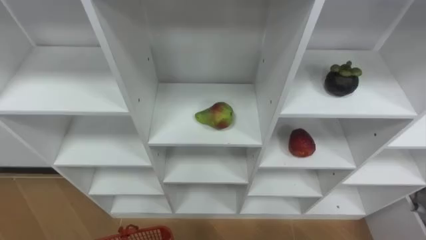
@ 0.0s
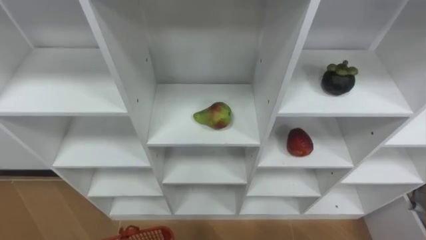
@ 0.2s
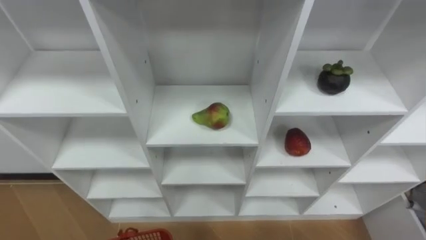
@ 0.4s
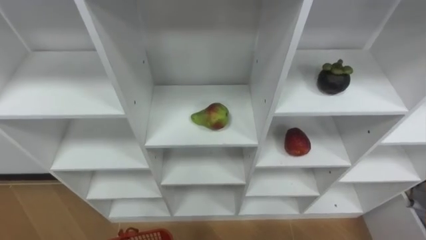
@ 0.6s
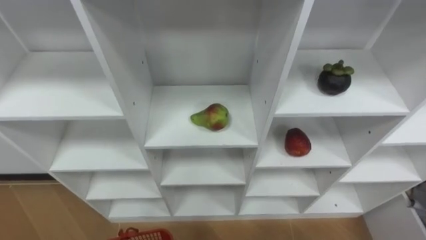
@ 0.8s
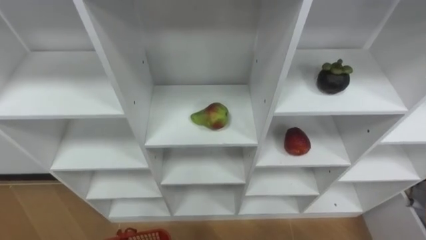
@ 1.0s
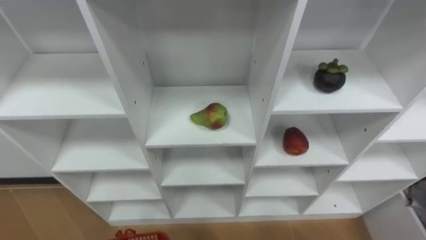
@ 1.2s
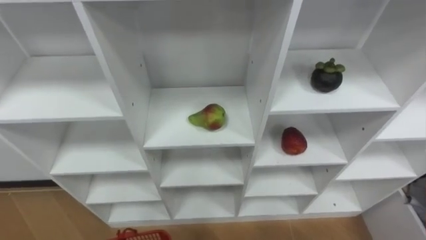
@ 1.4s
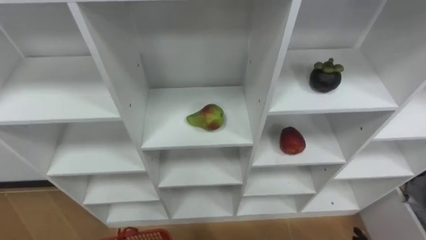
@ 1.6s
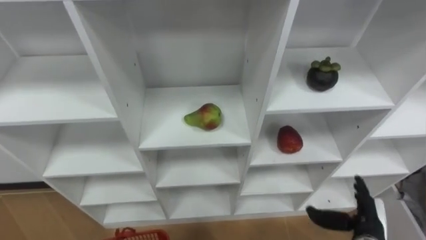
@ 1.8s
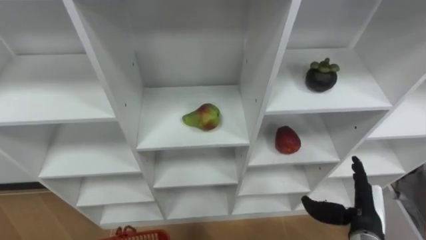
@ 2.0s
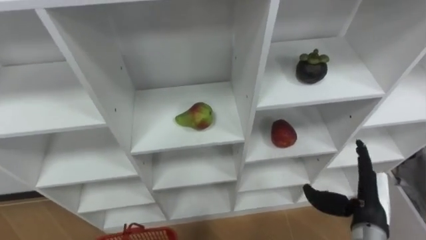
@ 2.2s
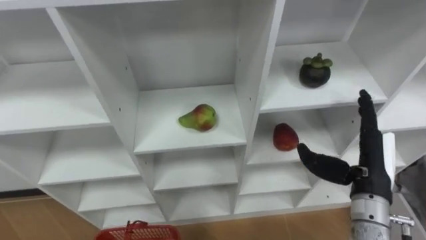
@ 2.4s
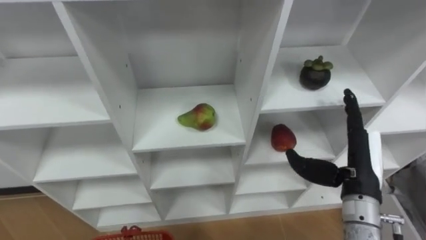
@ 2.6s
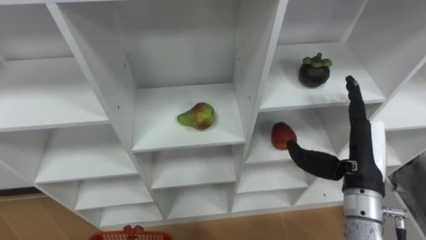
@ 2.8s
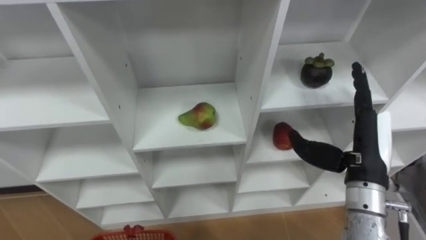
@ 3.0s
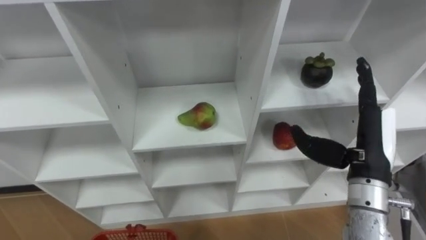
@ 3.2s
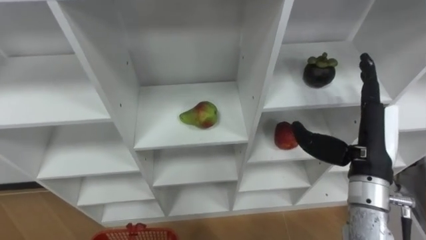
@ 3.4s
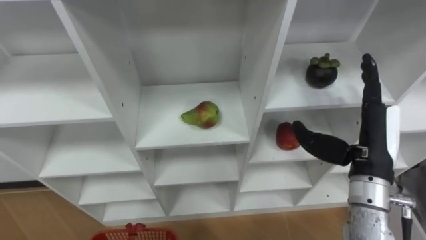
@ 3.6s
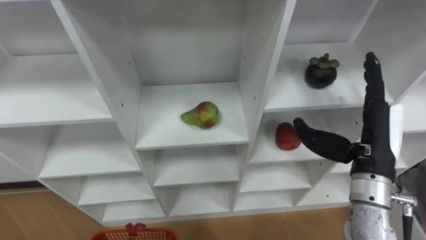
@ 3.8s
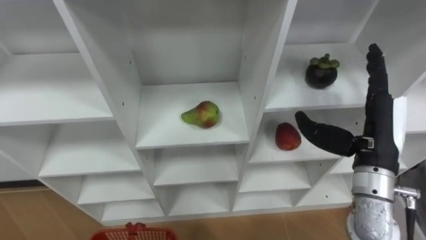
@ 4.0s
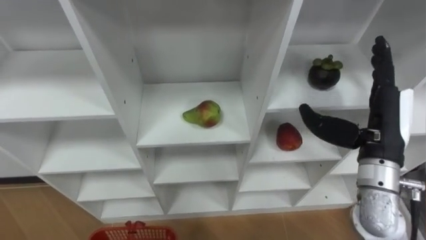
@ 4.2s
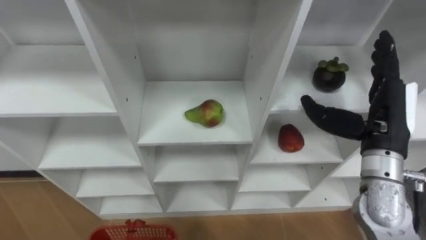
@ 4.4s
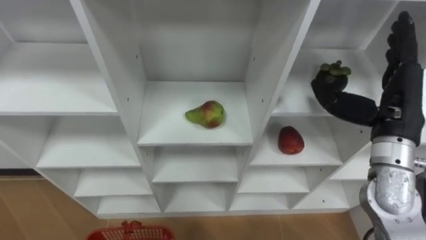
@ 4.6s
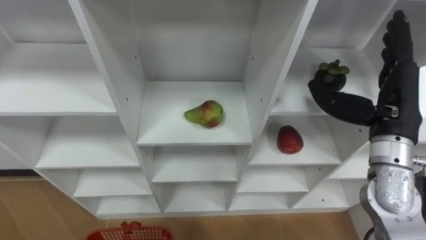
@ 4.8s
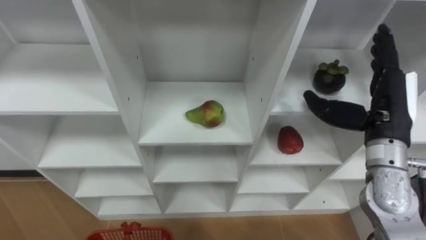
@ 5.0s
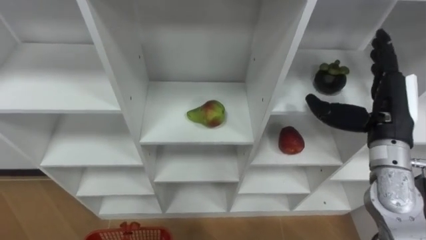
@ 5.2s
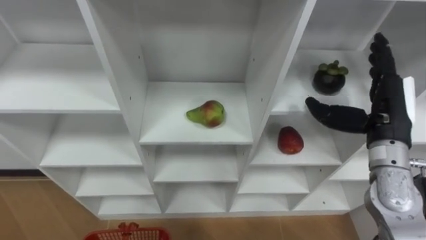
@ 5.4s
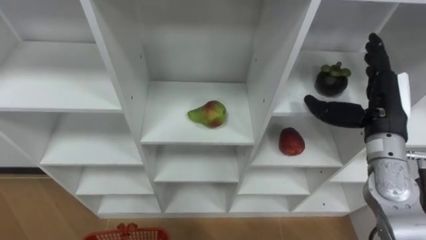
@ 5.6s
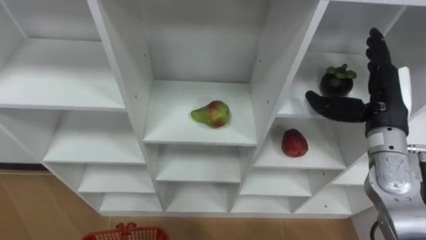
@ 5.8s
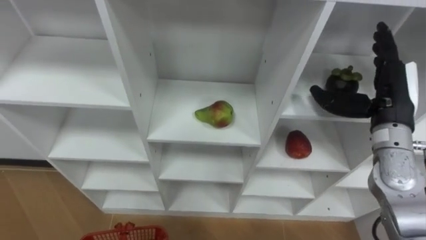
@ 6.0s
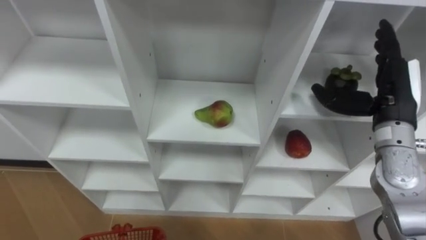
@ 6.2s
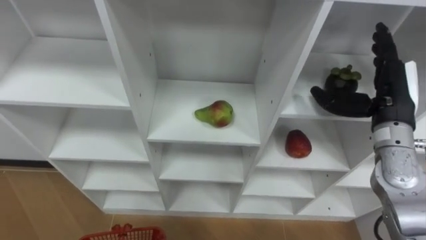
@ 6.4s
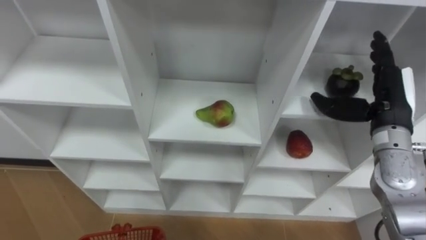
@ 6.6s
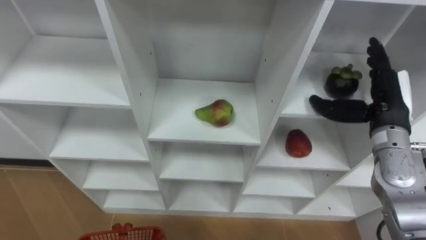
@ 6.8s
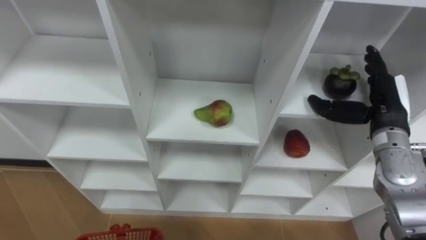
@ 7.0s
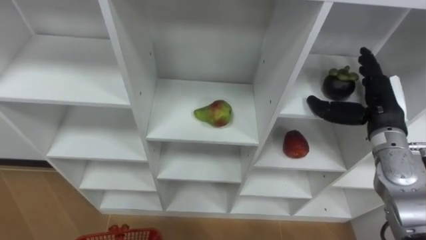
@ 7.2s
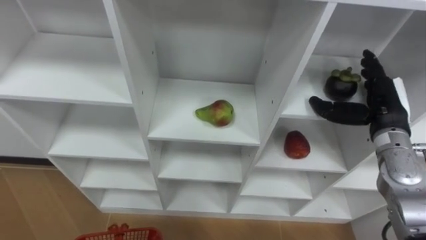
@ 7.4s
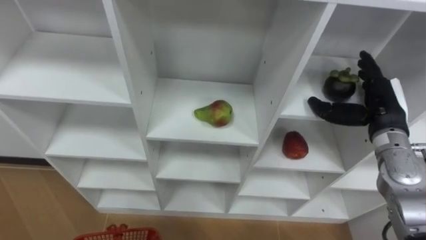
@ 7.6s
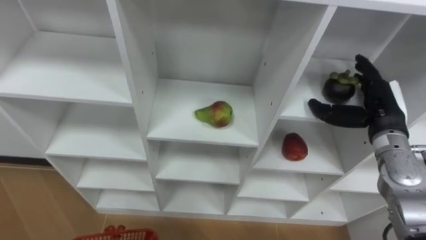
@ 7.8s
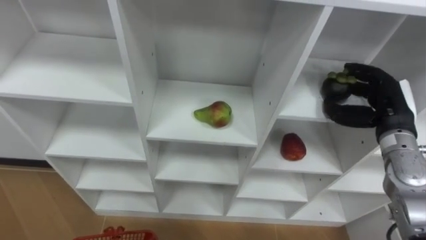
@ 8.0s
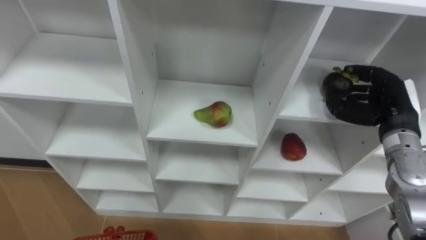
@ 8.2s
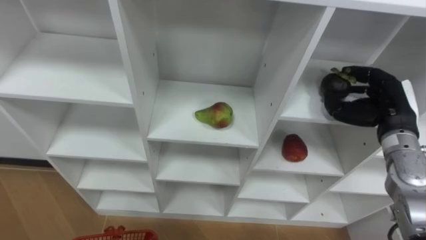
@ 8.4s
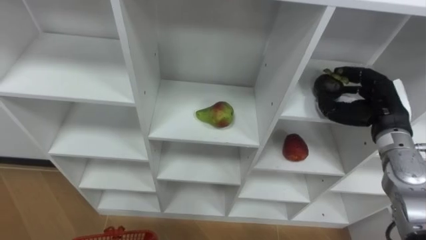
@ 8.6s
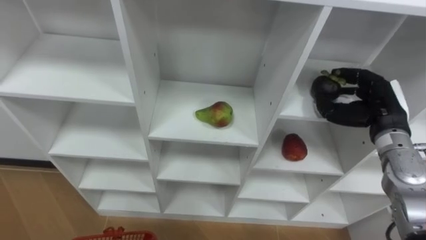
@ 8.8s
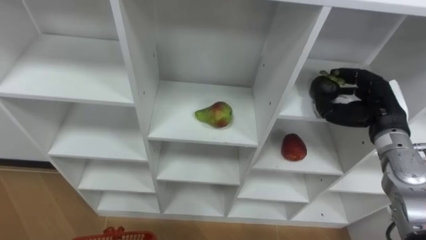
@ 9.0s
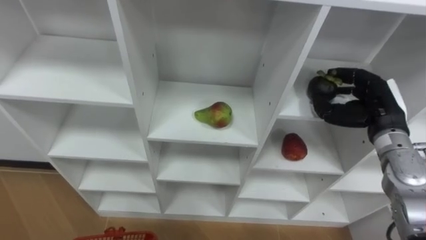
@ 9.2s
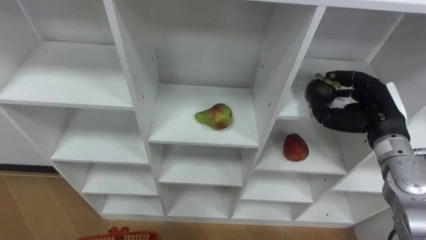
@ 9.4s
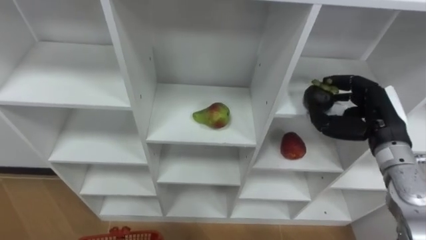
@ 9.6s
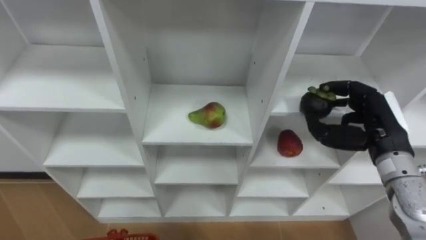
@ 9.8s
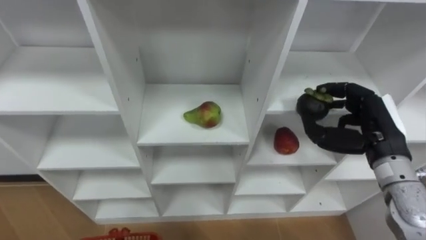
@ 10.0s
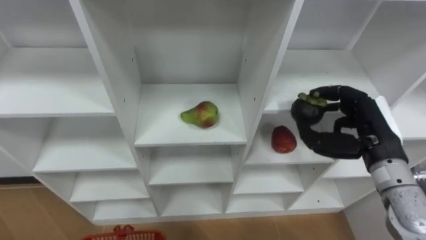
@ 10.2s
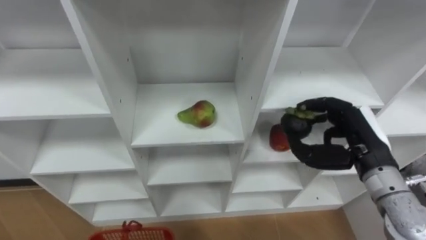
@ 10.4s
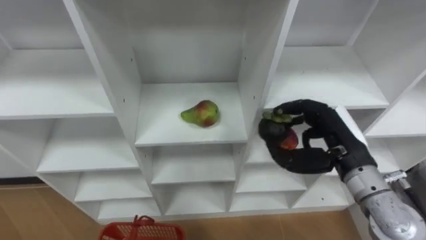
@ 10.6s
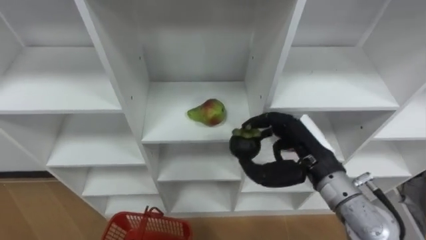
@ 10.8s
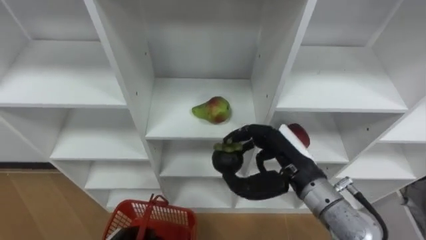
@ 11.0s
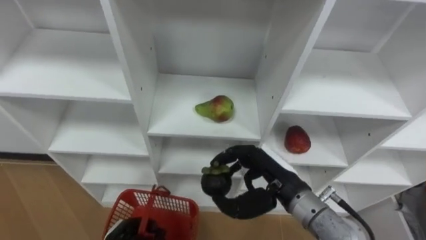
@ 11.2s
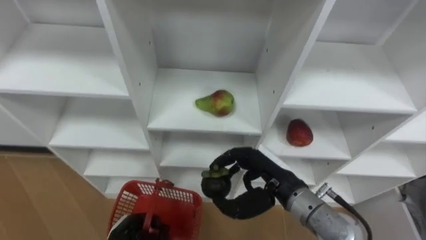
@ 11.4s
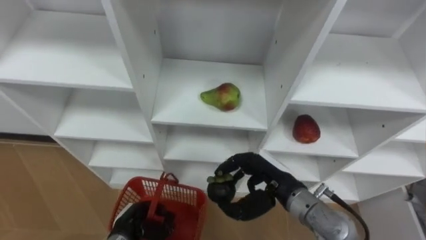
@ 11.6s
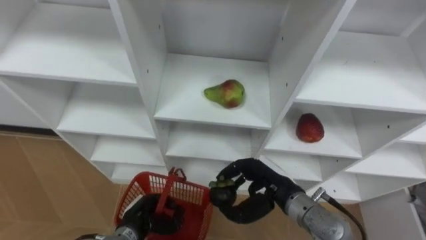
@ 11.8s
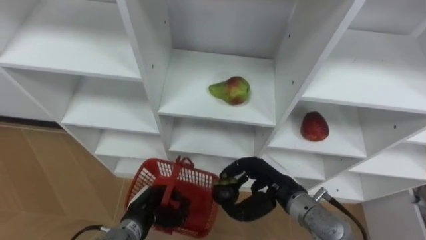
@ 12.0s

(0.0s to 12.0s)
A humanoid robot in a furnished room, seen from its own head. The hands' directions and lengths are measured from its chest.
Task of the whole recording: Hold the basket and collect the fruits from 3 different cells of the closet into it.
4.4s - 6.0s: The right hand shifts by approximately 5 cm.
6.0s - 7.6s: The right hand moves approximately 5 cm.
7.6s - 9.0s: The right hand closes.
9.0s - 10.4s: The right hand moves backward, about 5 cm.
10.4s - 12.0s: The right hand heads to the left and downward, covering approximately 15 cm.

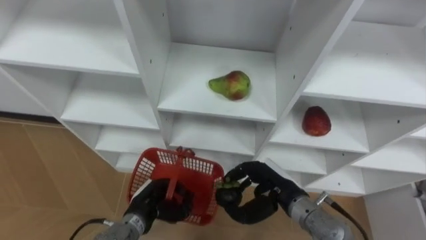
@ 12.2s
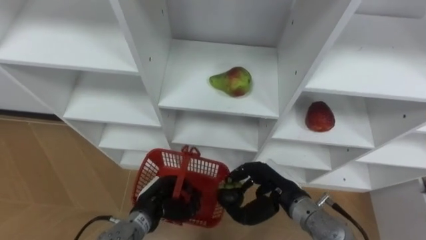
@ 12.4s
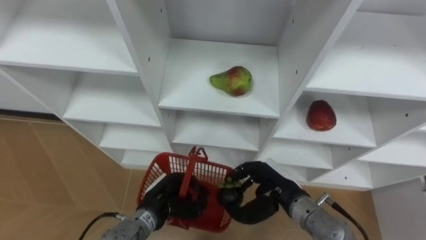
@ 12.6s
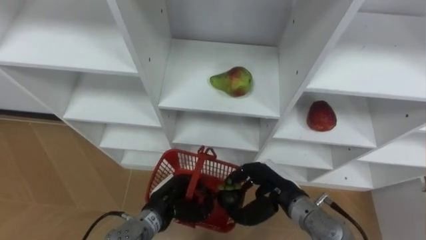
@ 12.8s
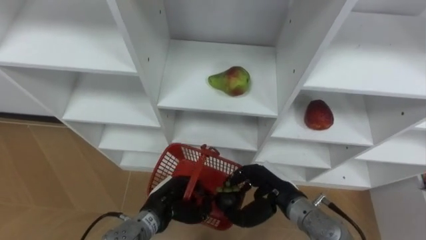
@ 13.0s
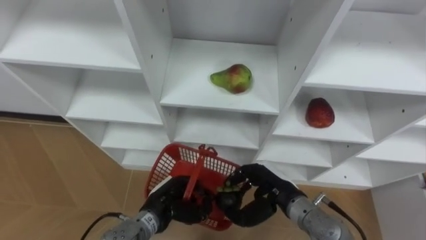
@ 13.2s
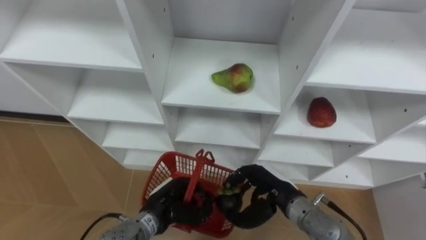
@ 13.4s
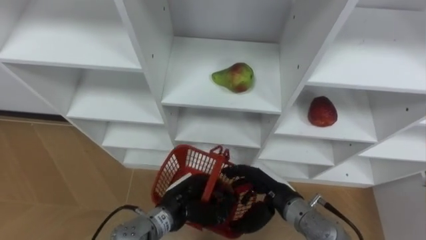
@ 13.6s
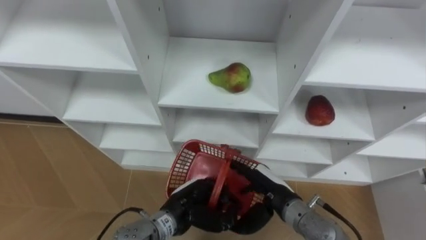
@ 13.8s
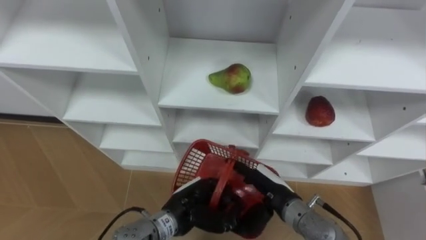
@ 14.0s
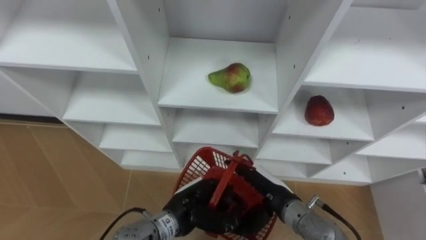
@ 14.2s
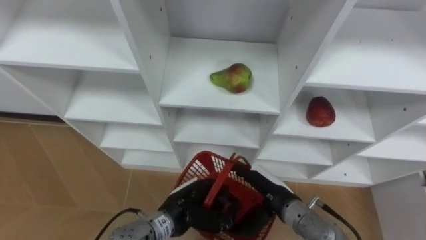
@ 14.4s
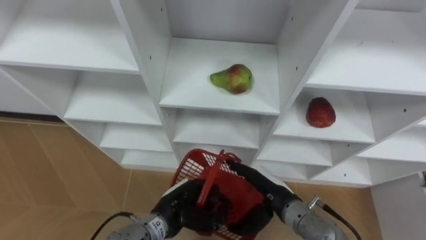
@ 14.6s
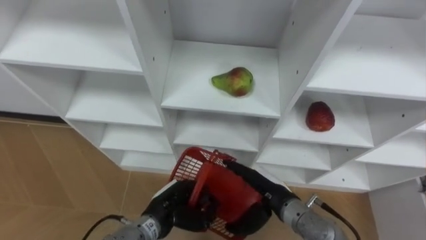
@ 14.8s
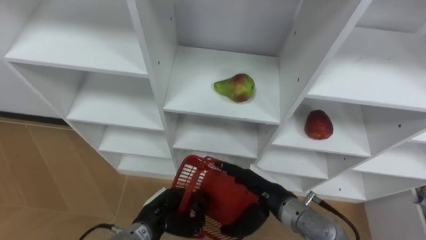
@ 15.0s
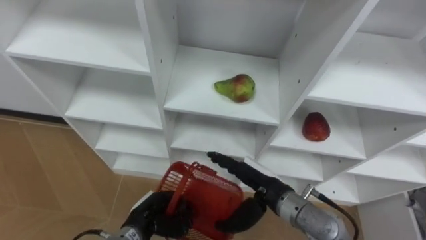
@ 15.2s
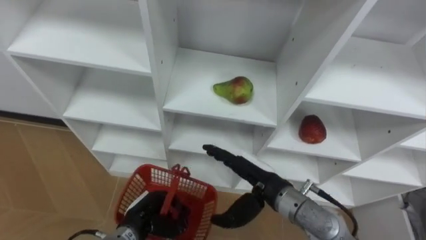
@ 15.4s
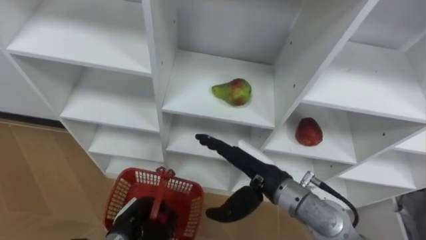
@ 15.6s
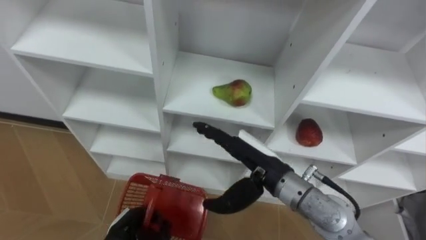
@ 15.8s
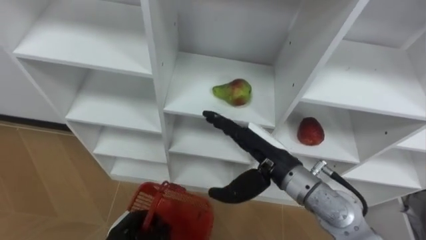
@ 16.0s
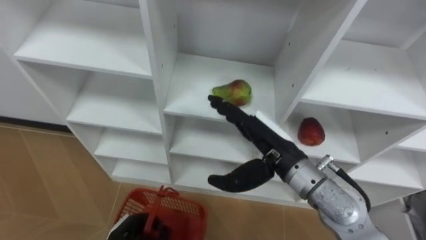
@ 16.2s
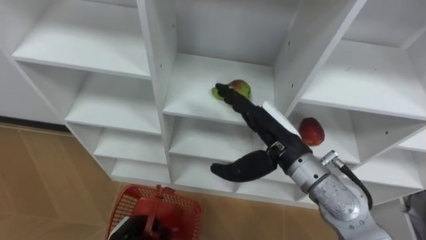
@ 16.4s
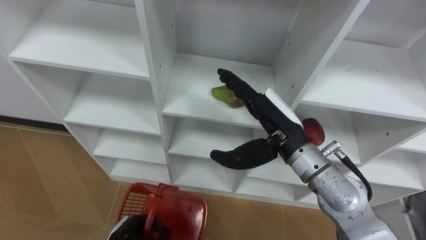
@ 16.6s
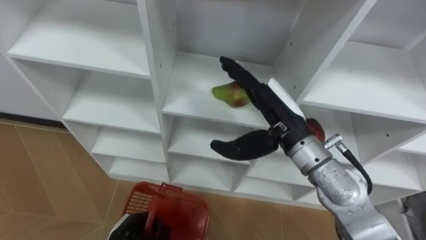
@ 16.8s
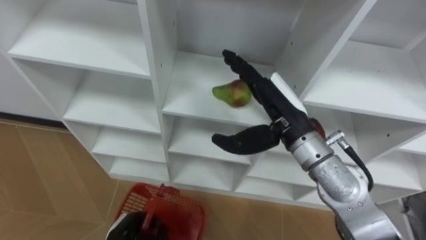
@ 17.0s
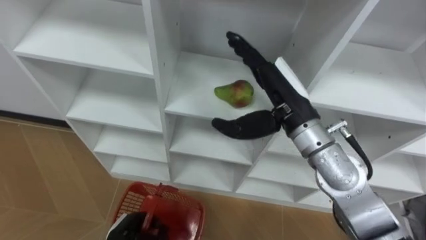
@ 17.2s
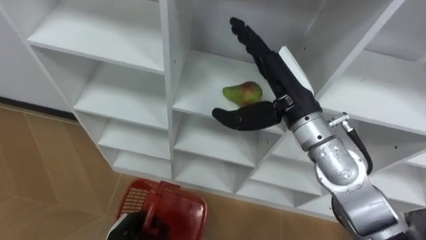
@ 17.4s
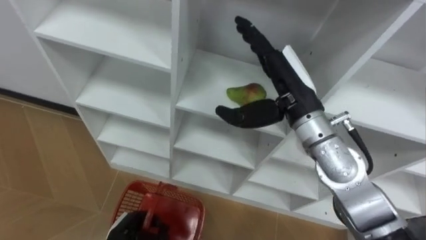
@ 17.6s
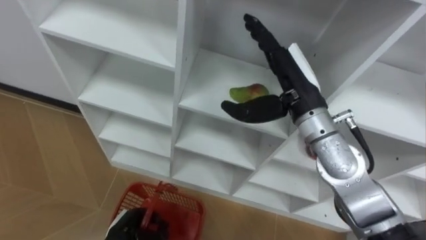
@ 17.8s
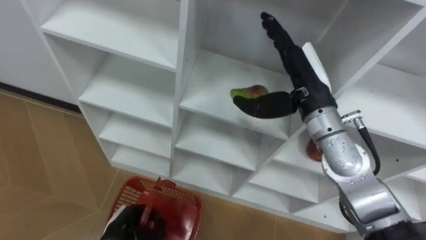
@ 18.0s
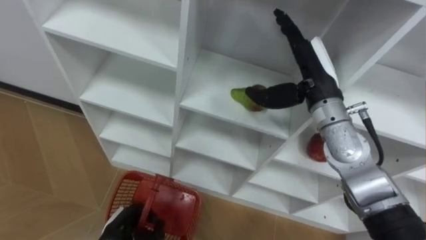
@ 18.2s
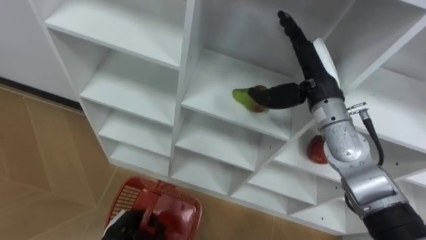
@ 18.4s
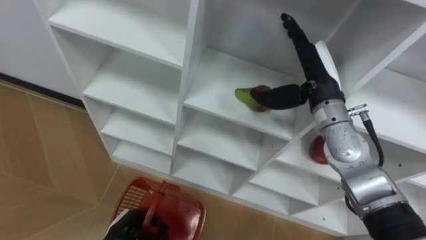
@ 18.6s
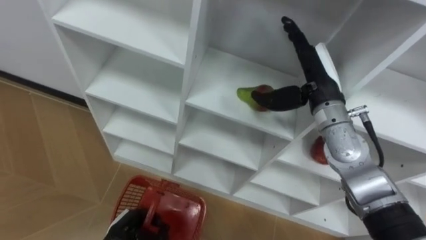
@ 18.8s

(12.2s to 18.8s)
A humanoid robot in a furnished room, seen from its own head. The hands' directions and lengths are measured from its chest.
Task of the whole recording: Hold the basket and collect the fruits from 3 different cells of the closet into it.
12.2s - 13.8s: The right hand opens its fingers. The left hand moves to the right, about 10 cm.
13.8s - 15.4s: The right hand heads upward, covering some 5 cm; the left hand is displaced to the left by some 10 cm.
15.4s - 17.2s: The left hand moves some 5 cm. The right hand heads upward and forward, covering some 15 cm.
17.2s - 18.8s: The right hand heads to the right and forward, covering roughly 10 cm.
